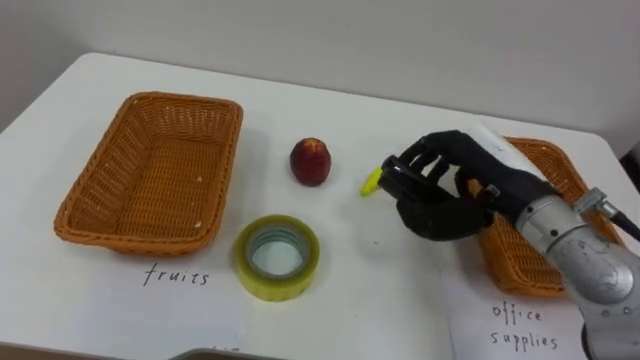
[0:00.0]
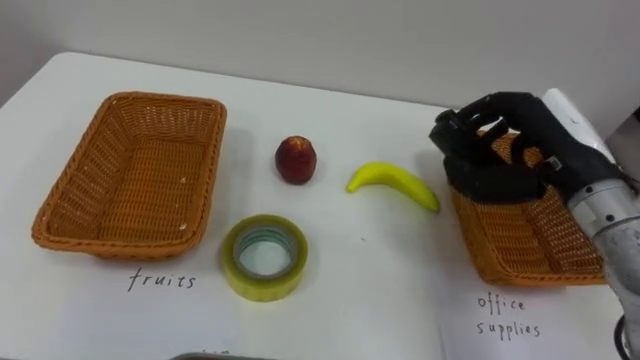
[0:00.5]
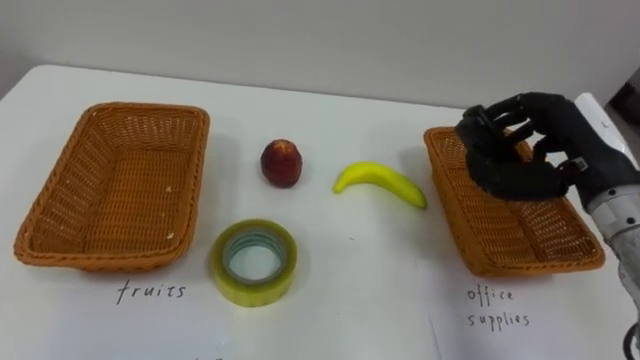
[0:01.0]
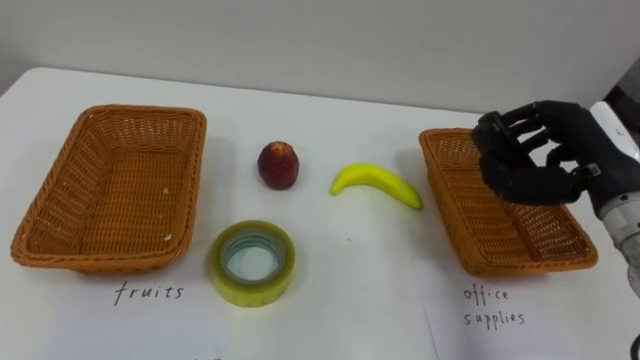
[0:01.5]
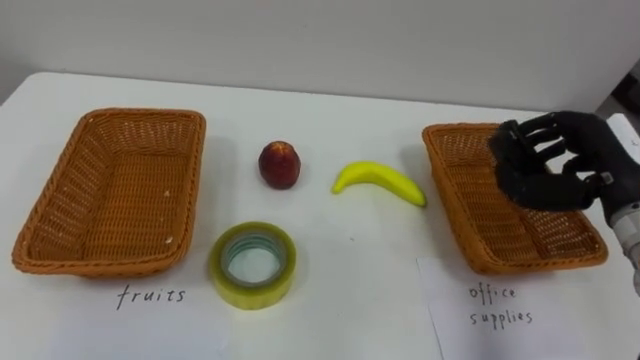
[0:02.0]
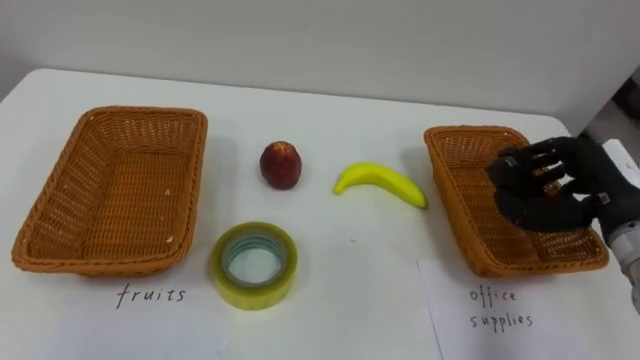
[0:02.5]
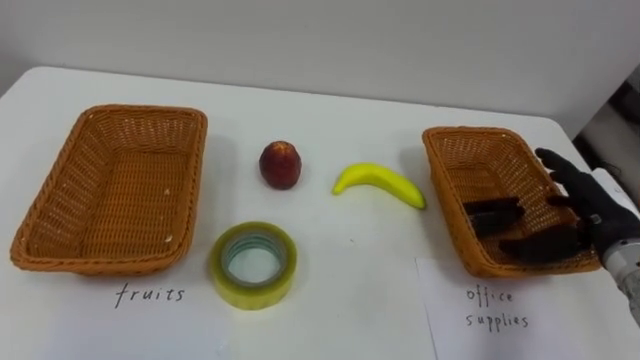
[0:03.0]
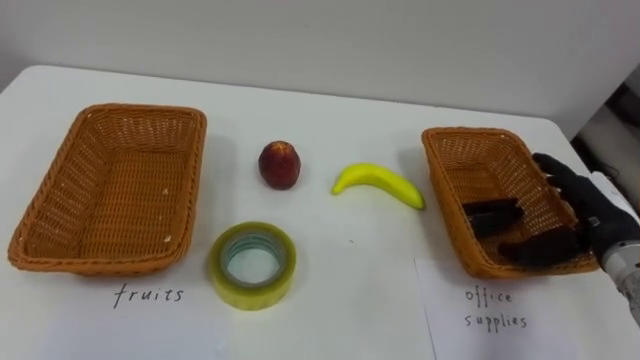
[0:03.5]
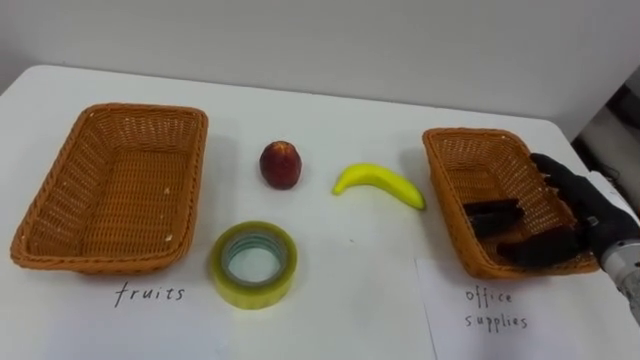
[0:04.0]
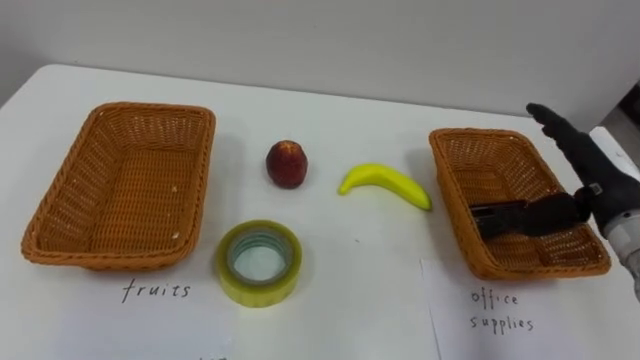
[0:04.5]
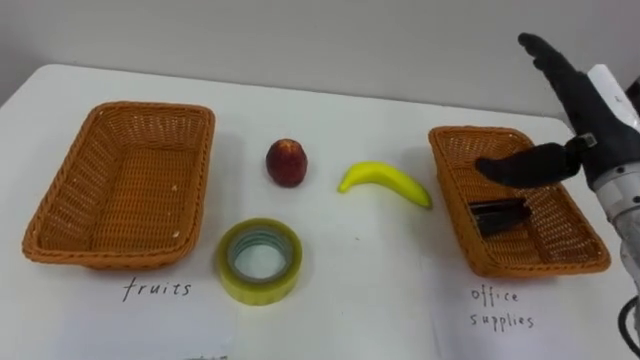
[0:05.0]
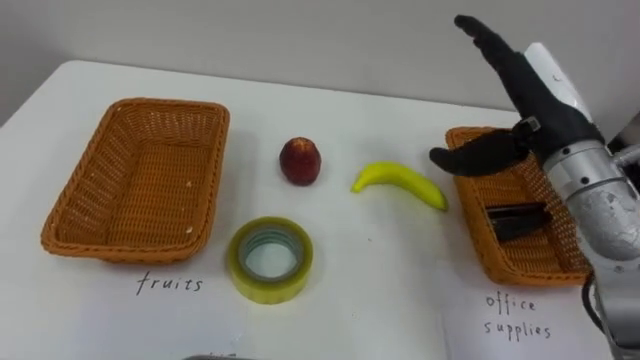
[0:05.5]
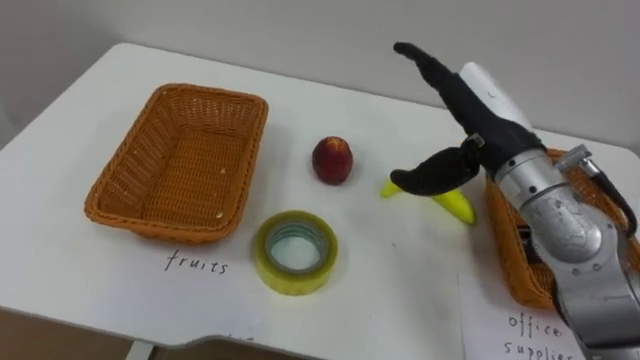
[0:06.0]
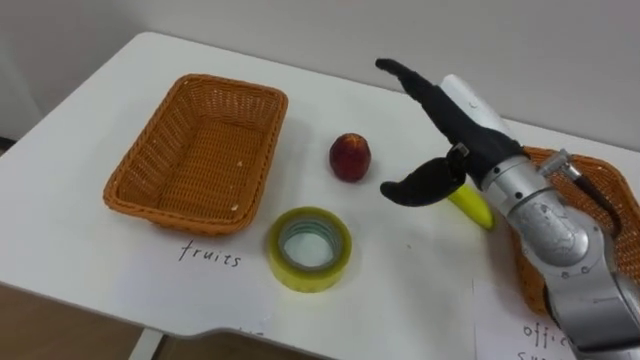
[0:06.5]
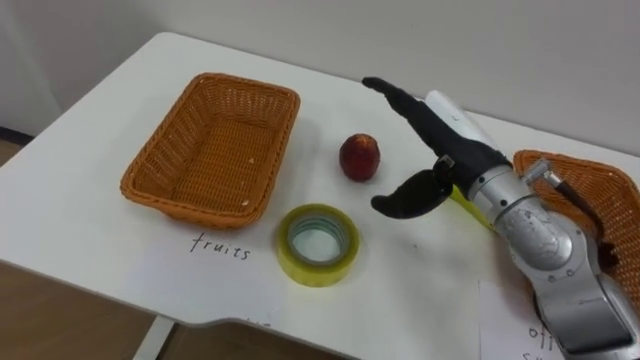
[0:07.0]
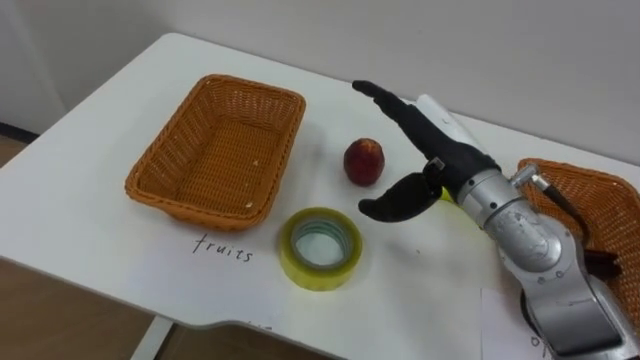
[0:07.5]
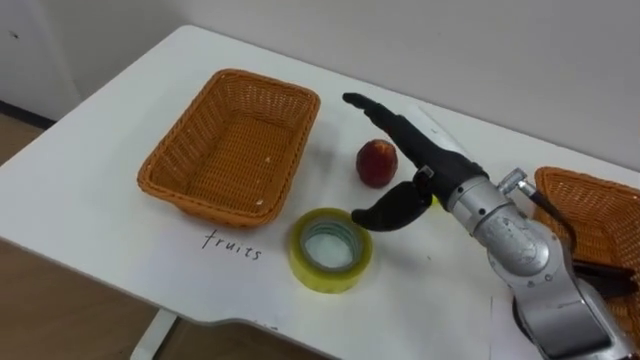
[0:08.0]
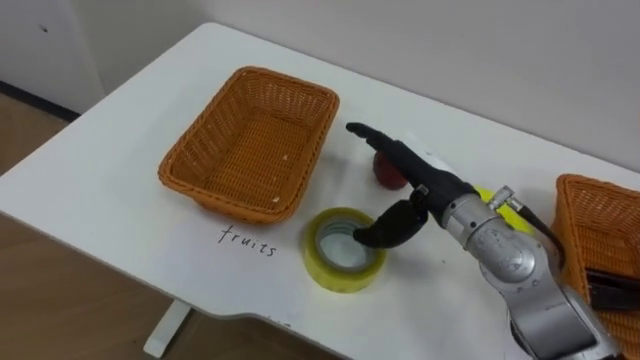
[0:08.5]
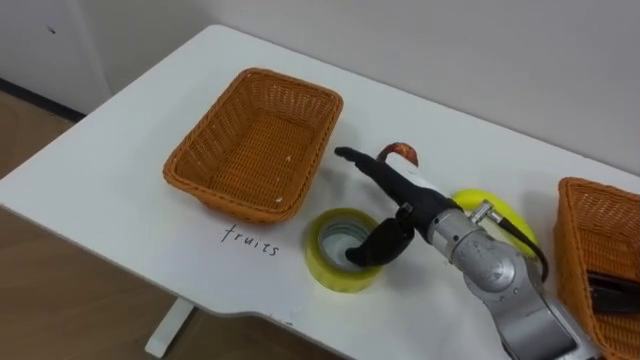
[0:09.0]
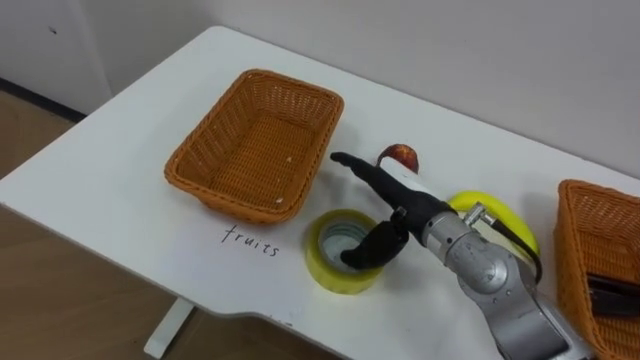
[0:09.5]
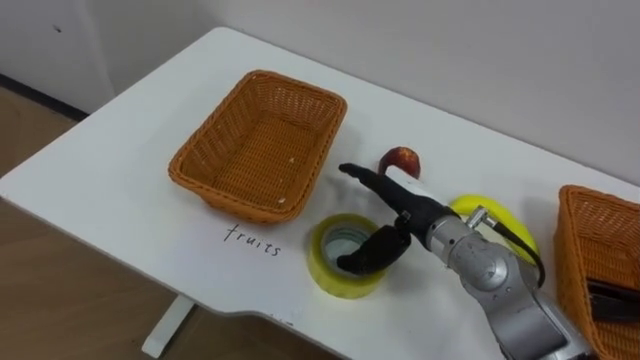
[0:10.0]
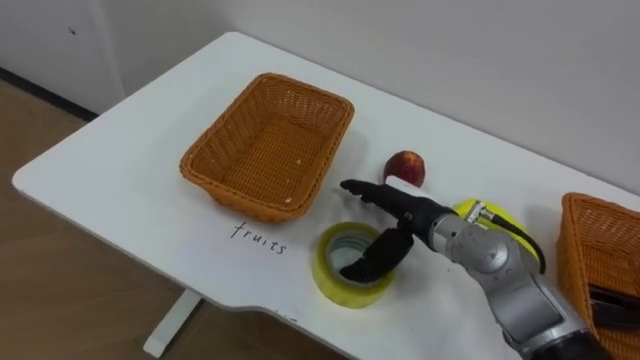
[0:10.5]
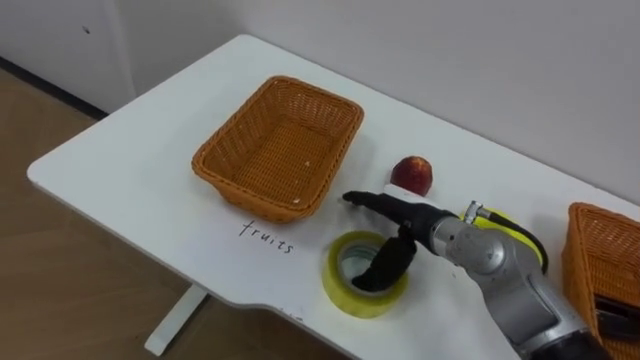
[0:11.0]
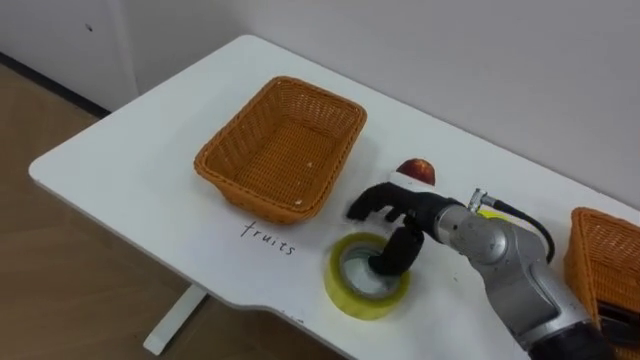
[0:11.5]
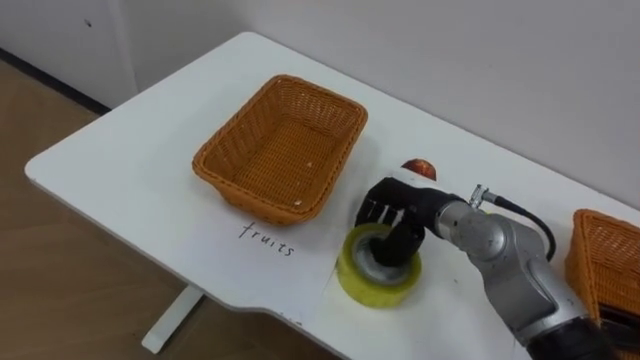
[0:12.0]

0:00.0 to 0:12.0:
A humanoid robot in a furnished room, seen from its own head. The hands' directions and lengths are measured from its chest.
Task of the whole recording: Separate the items on the table and place them into the two baskets.
0:00.0 to 0:02.0: The right hand is displaced to the right by approximately 10 cm.
0:02.0 to 0:04.0: The right hand moves downward, some 5 cm, and opens.
0:04.0 to 0:06.0: The right hand shifts approximately 20 cm to the left and upward.
0:06.0 to 0:08.0: The right hand changes place by roughly 5 cm.
0:08.0 to 0:10.0: The right hand shifts about 10 cm downward.
0:10.0 to 0:12.0: The right hand closes its fingers.

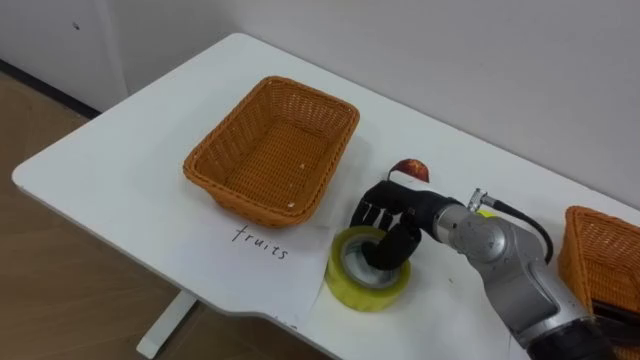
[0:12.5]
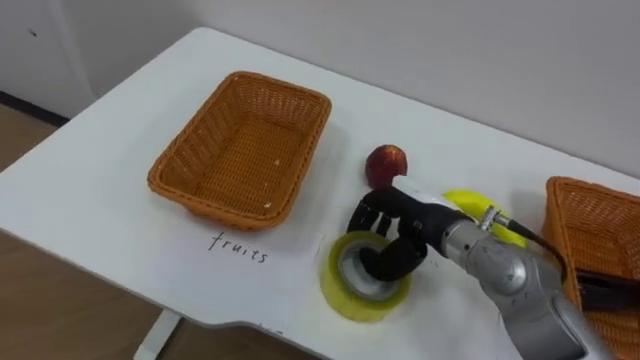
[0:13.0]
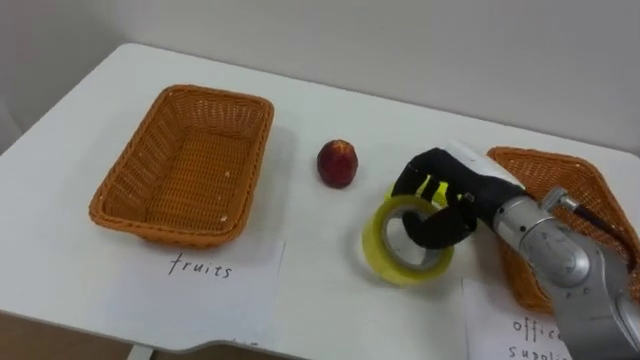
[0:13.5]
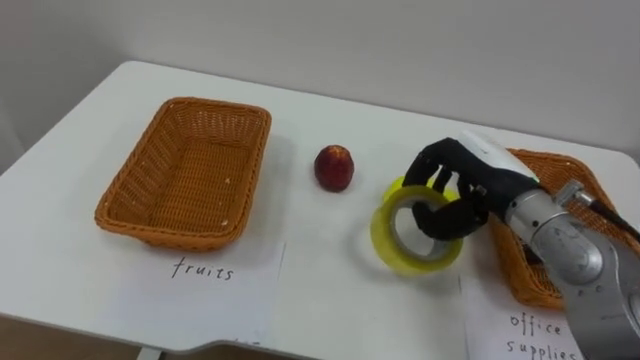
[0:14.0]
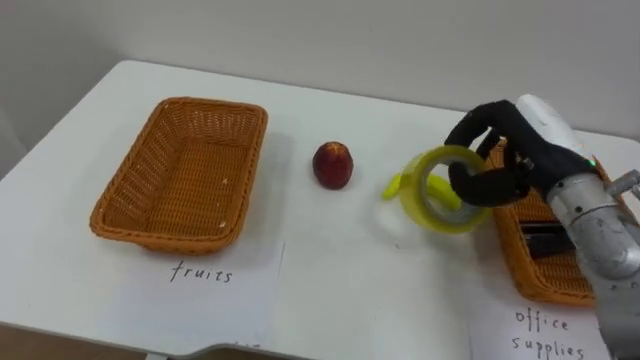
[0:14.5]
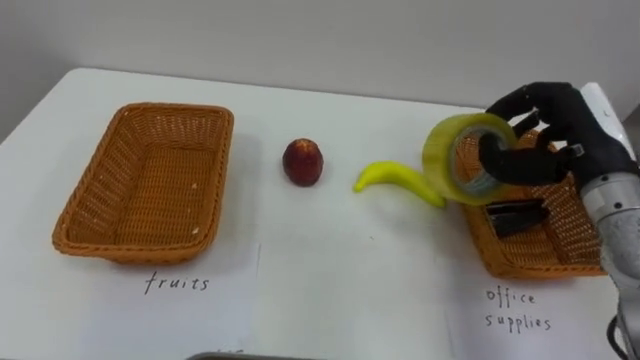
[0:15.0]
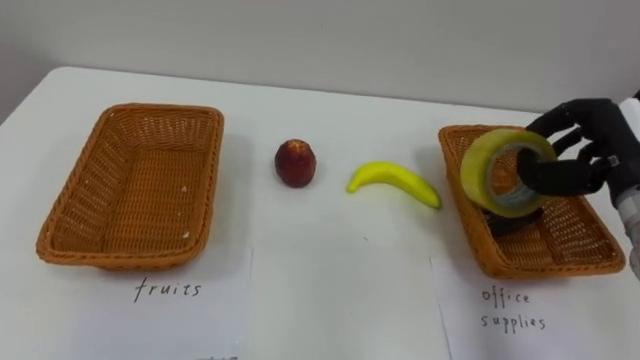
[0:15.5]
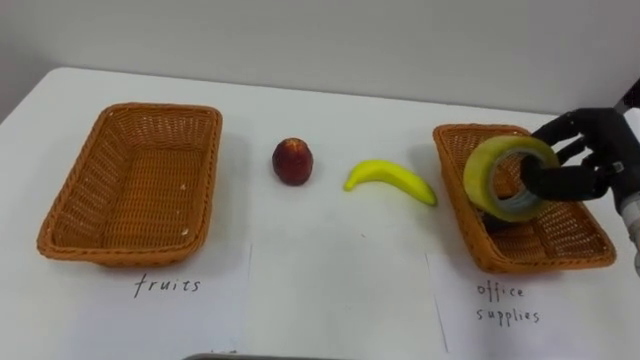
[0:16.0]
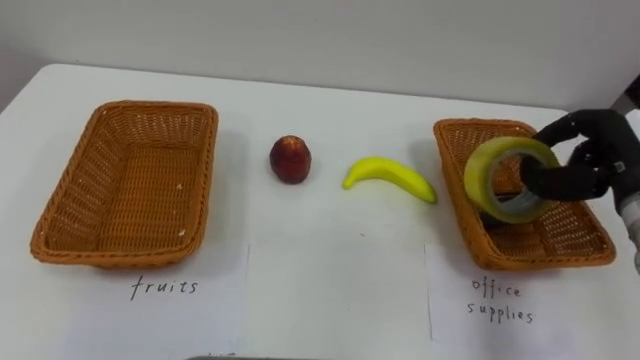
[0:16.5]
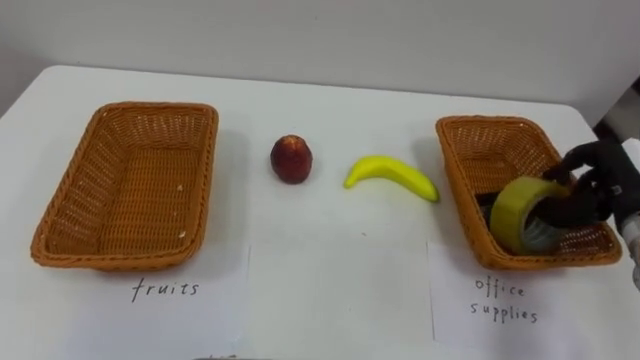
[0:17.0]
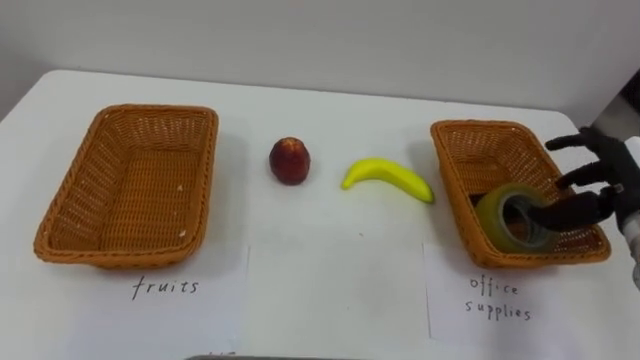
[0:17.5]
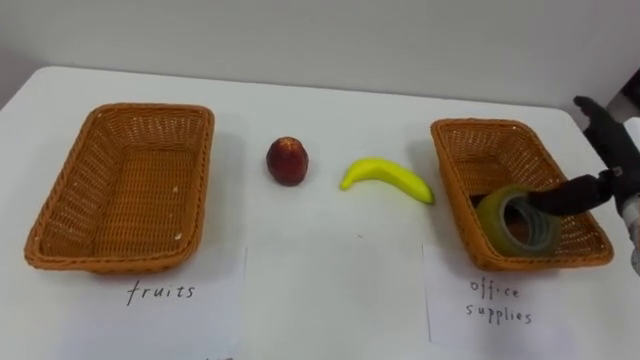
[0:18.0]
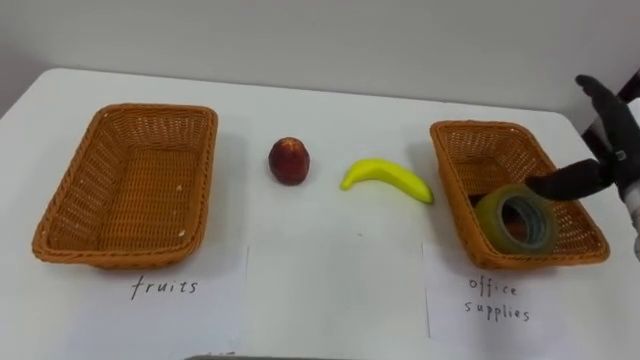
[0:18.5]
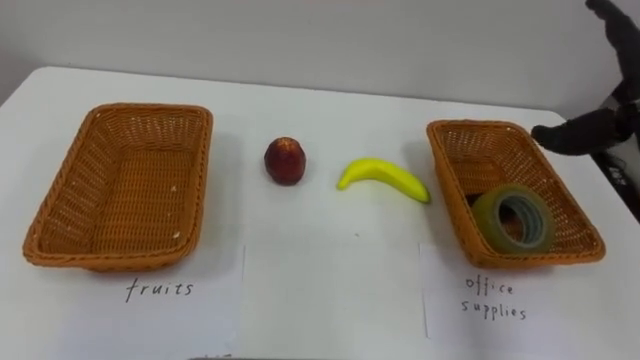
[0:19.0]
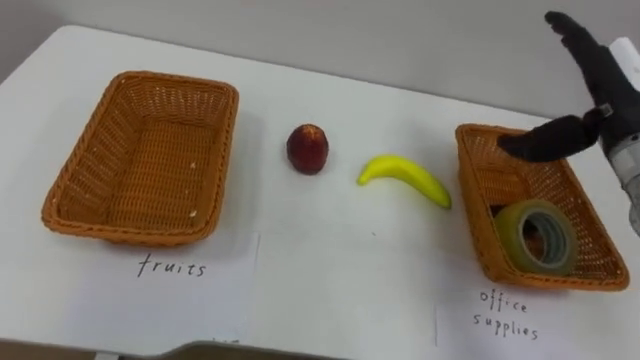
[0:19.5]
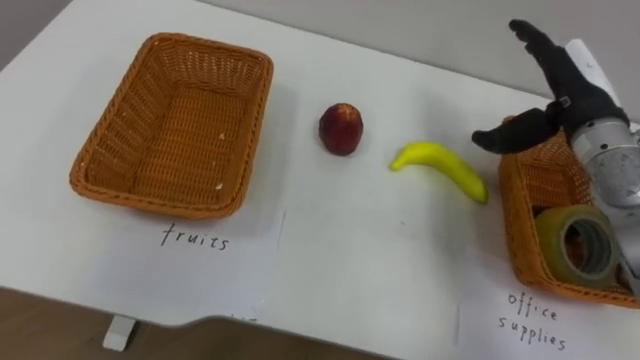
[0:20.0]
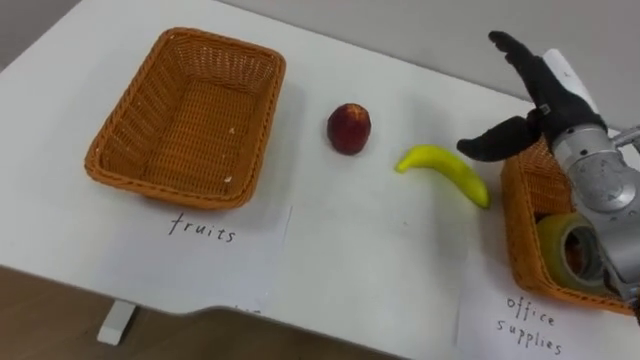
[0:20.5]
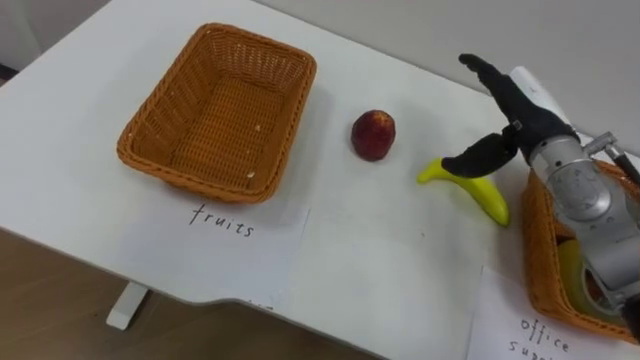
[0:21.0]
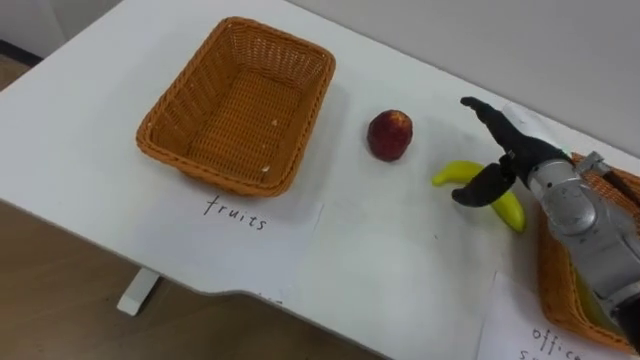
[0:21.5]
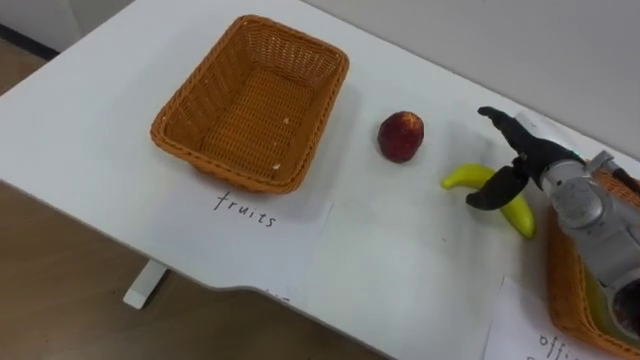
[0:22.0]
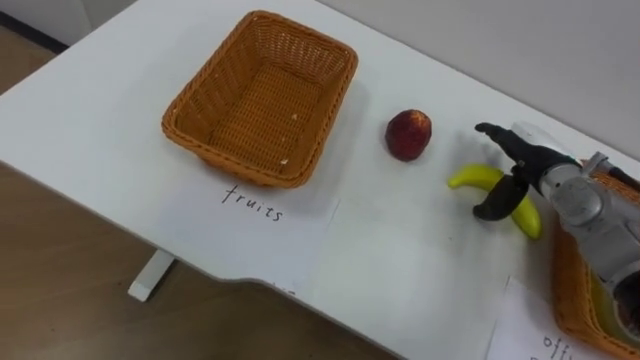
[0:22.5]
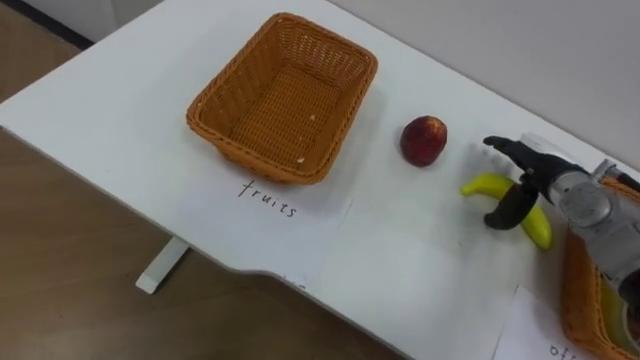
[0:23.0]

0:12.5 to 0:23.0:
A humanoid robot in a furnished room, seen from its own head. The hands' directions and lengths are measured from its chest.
Task of the whole recording: Separate the items on the table and place them into the two baskets.
0:12.5 to 0:14.5: The right hand goes roughly 15 cm to the right and upward.
0:14.5 to 0:16.5: The right hand moves to the right, some 10 cm.
0:21.0 to 0:23.0: The right hand moves downward and to the right, about 10 cm.
